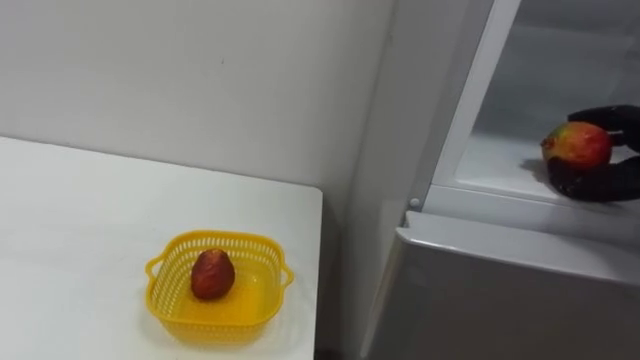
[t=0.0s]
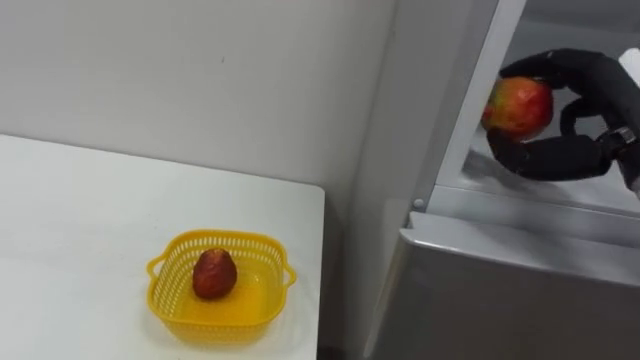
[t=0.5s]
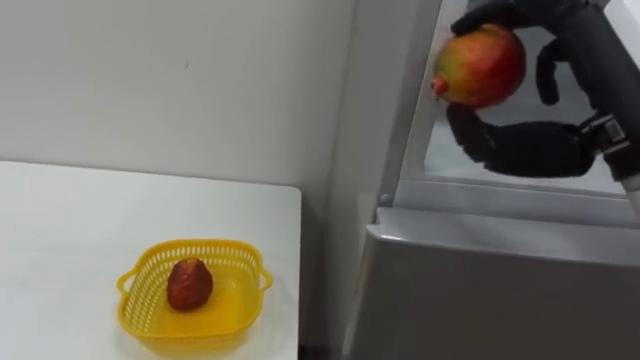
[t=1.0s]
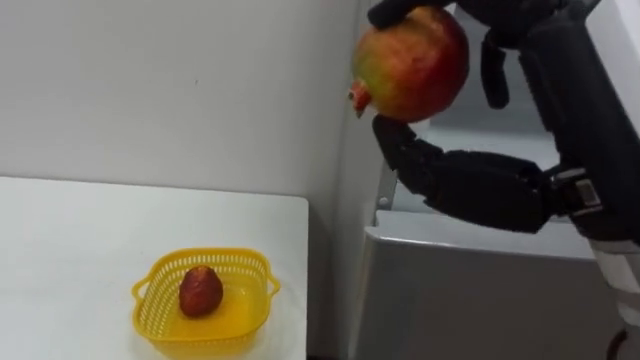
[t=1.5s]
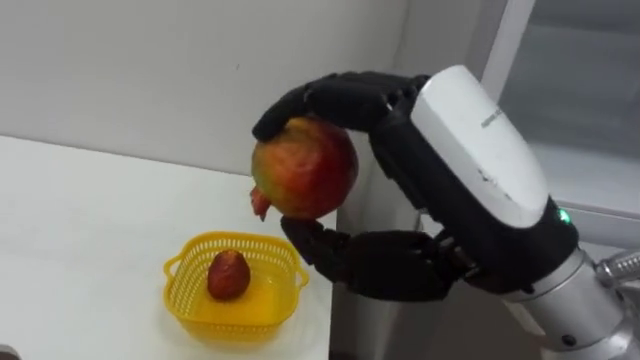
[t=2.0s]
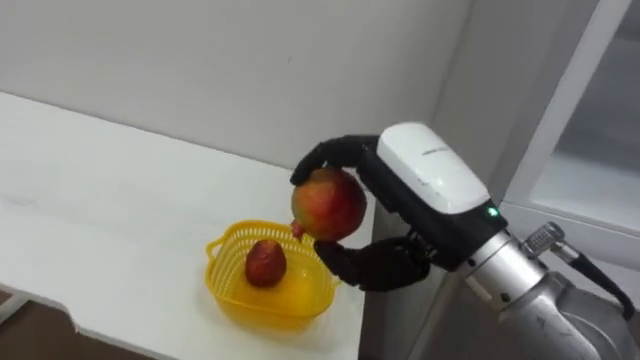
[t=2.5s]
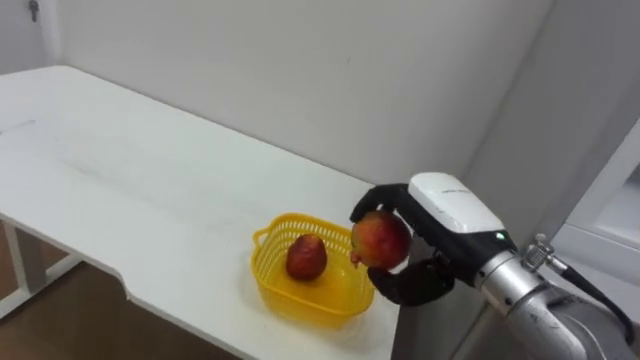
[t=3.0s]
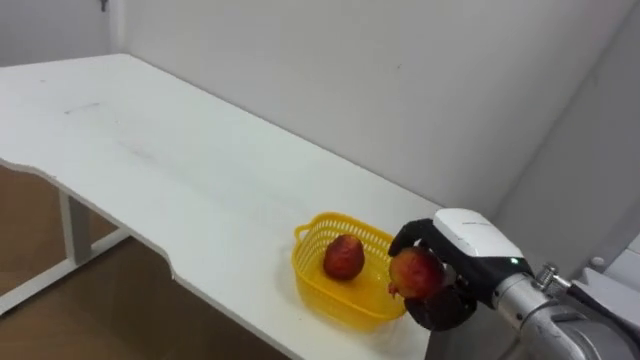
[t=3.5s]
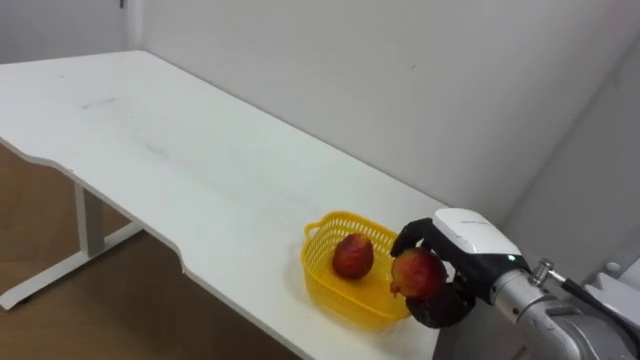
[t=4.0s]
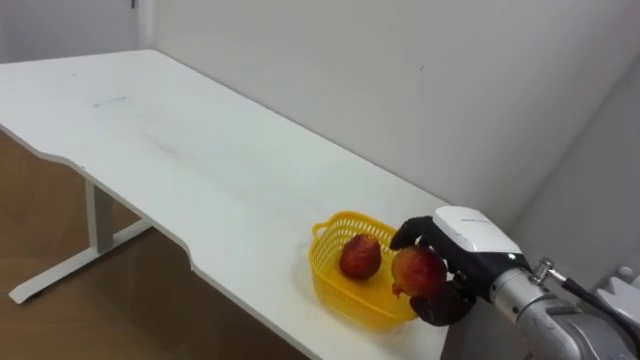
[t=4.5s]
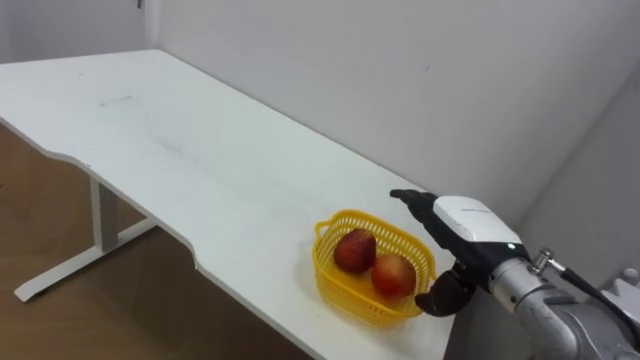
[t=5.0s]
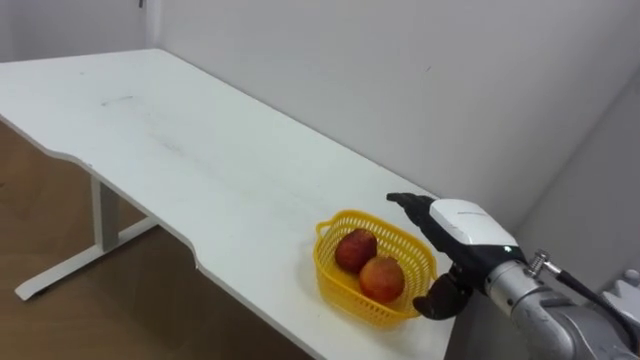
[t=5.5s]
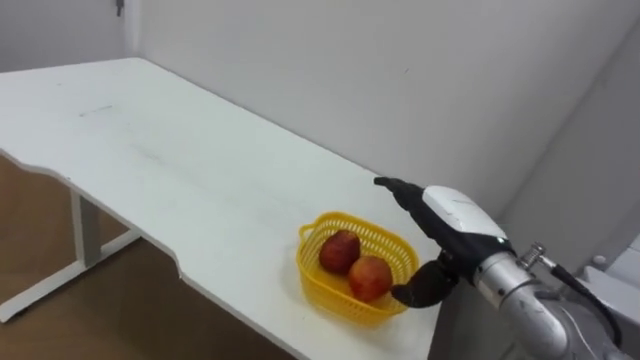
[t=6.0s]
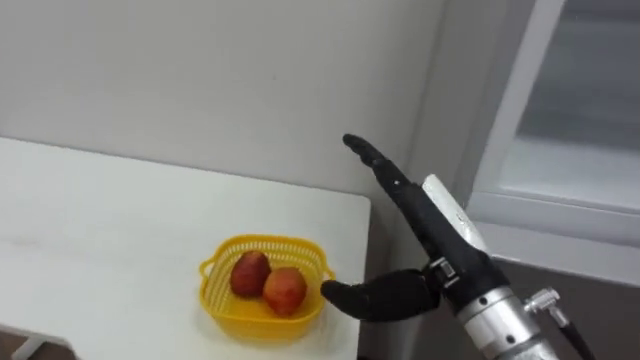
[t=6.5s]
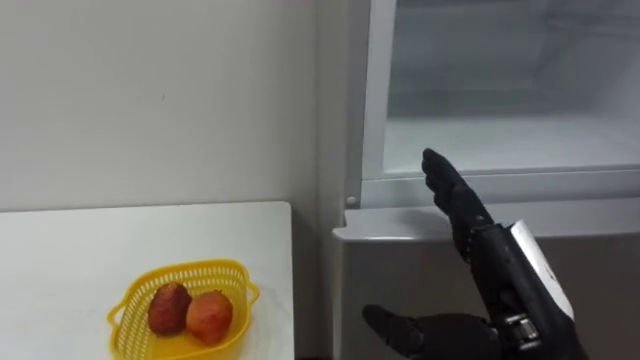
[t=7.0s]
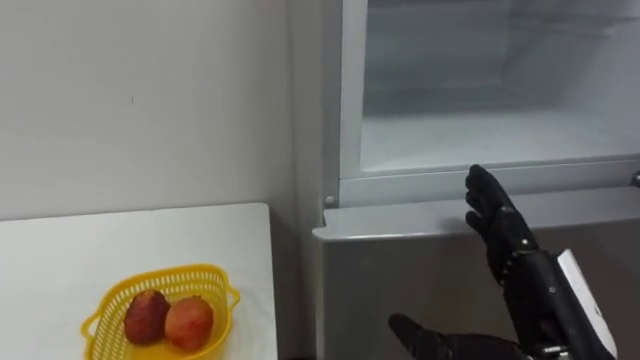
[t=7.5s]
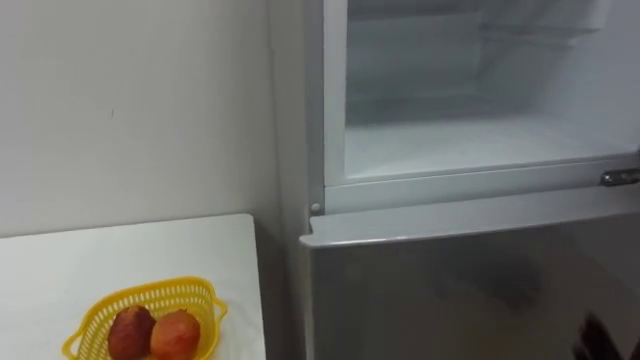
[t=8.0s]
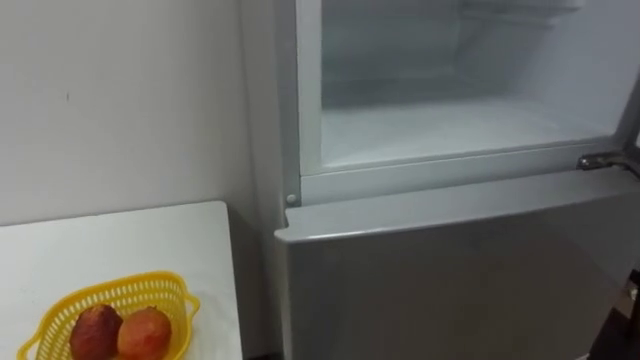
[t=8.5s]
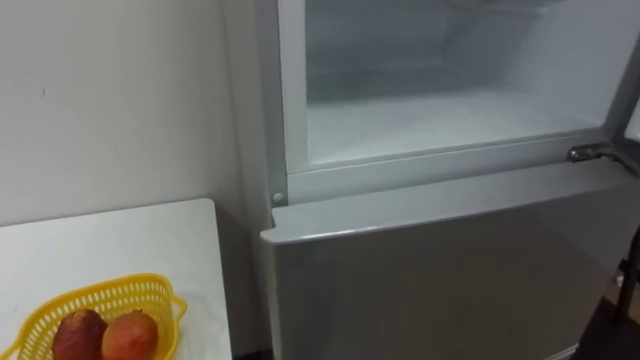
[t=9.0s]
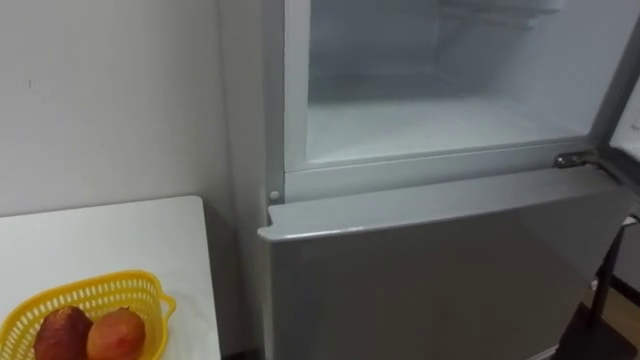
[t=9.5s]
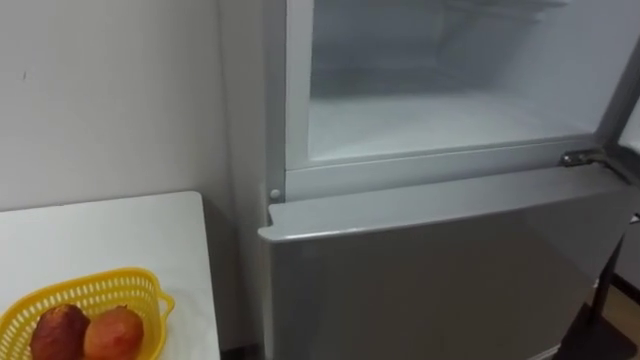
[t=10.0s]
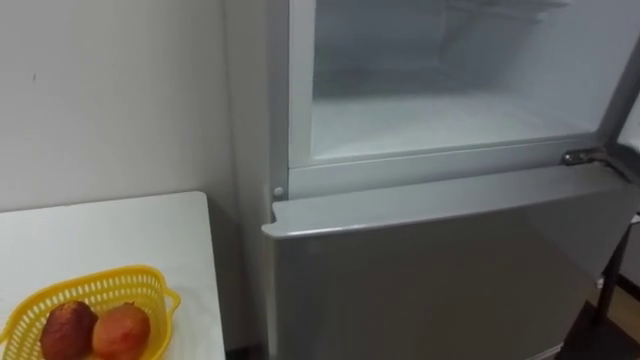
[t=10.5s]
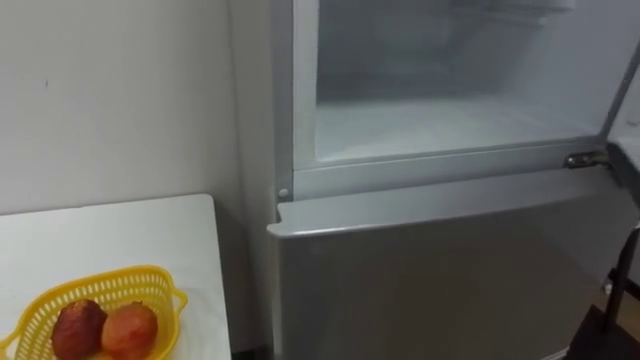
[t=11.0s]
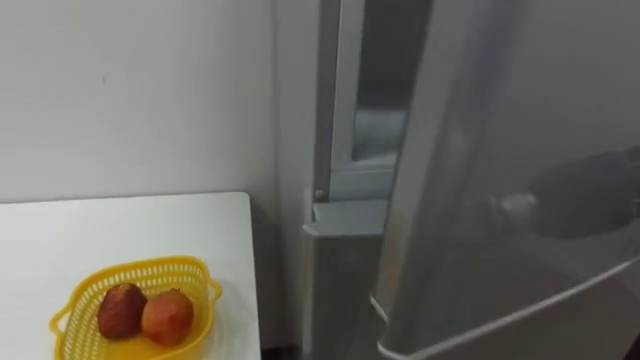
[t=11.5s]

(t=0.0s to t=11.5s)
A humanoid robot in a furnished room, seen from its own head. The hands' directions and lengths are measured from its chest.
Task of the whole recording: Open the refrigerator door, take out the apple and the pomegranate, place them in the fruit basket on the left, and close the refrigerator door.
t=2.0s - t=4.0s: The right hand is displaced downward and forward by about 25 cm.
t=4.0s - t=6.0s: The right hand opens its fingers.
t=6.0s - t=7.5s: The right hand heads backward, covering about 15 cm.

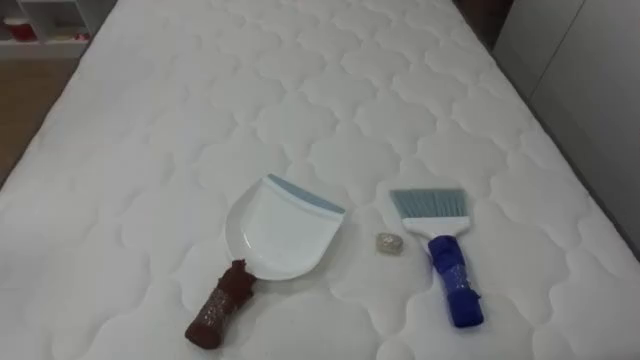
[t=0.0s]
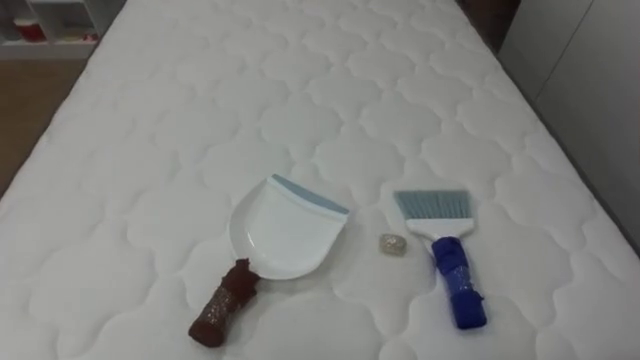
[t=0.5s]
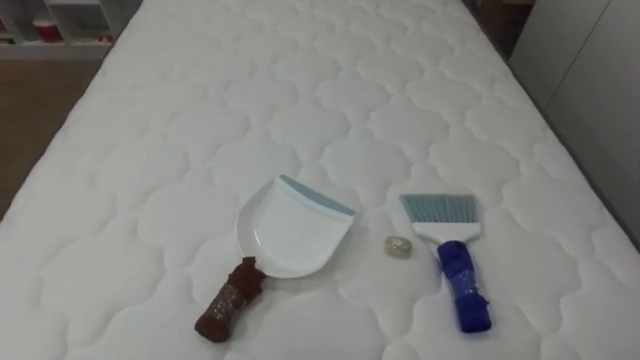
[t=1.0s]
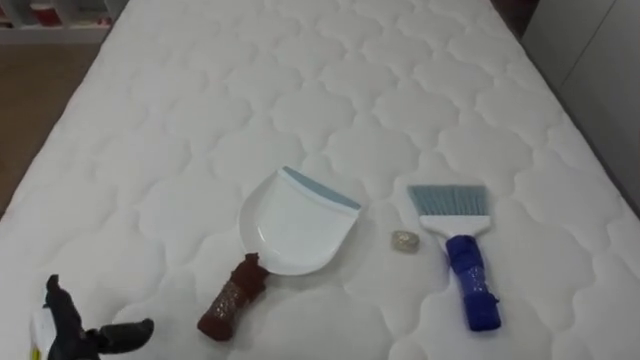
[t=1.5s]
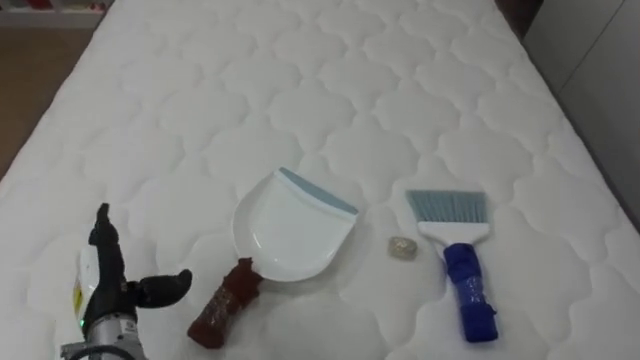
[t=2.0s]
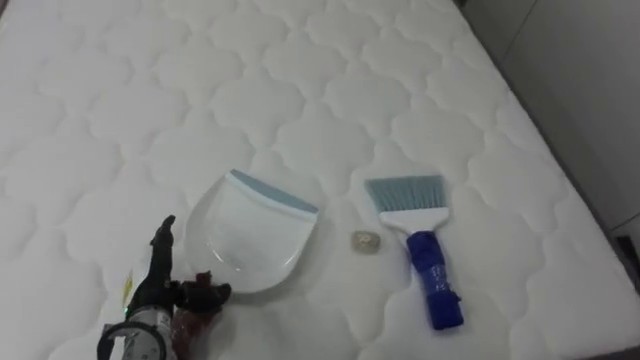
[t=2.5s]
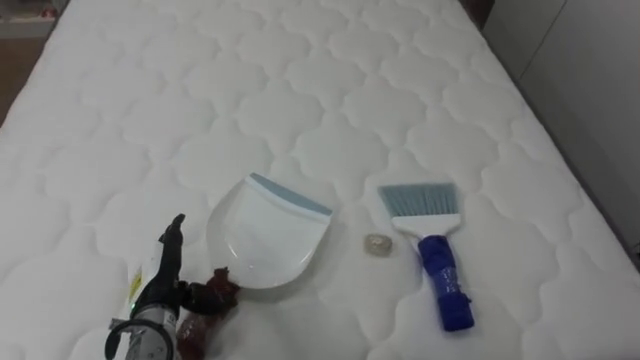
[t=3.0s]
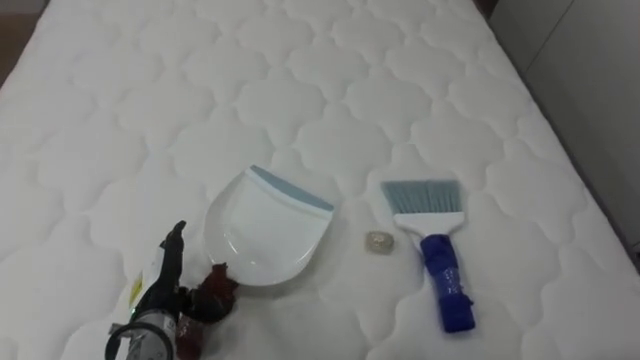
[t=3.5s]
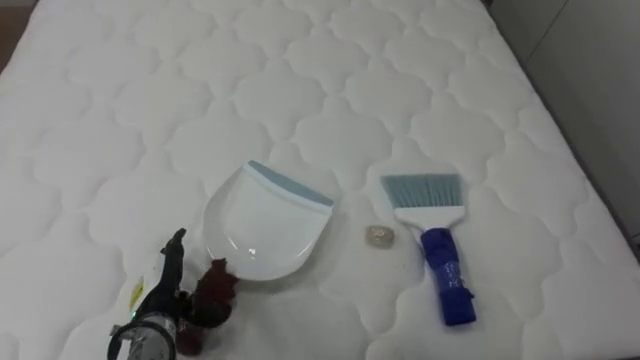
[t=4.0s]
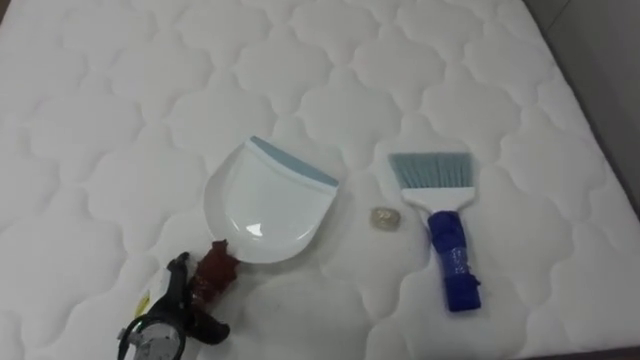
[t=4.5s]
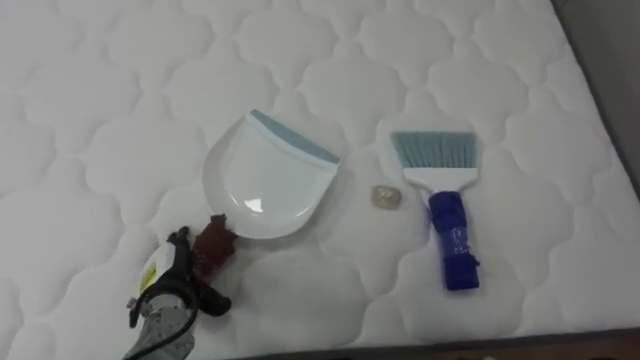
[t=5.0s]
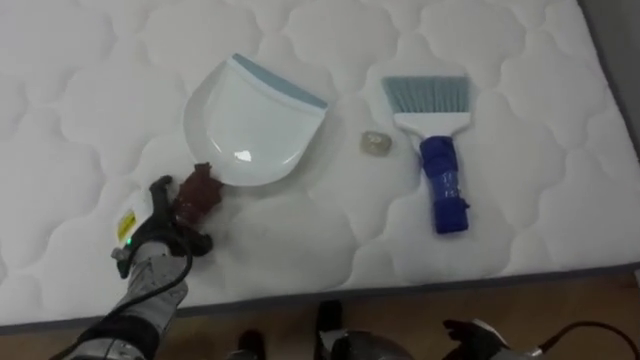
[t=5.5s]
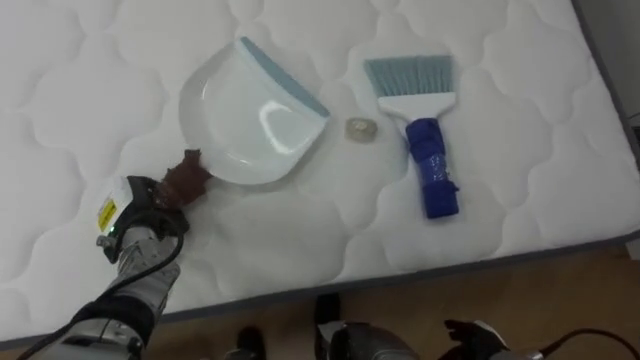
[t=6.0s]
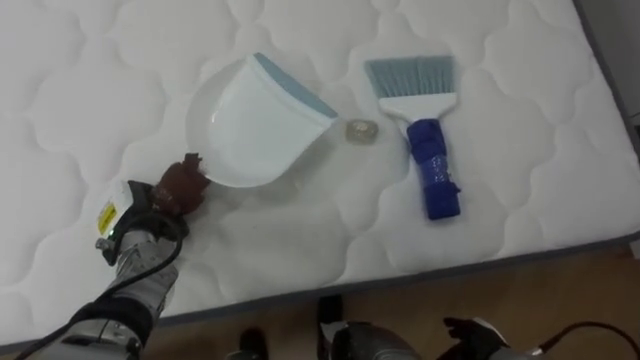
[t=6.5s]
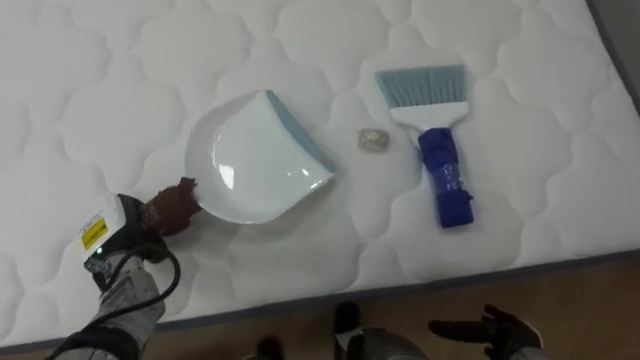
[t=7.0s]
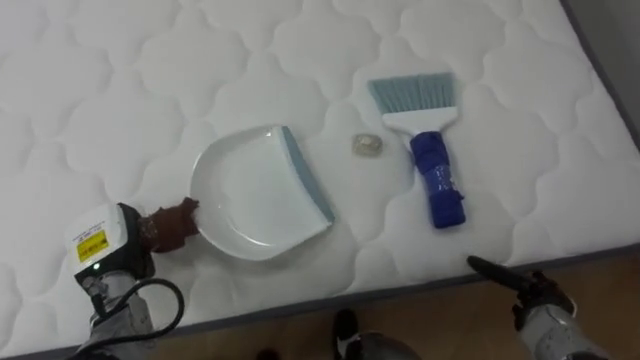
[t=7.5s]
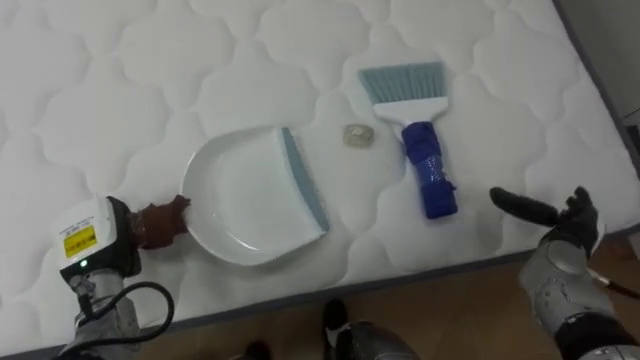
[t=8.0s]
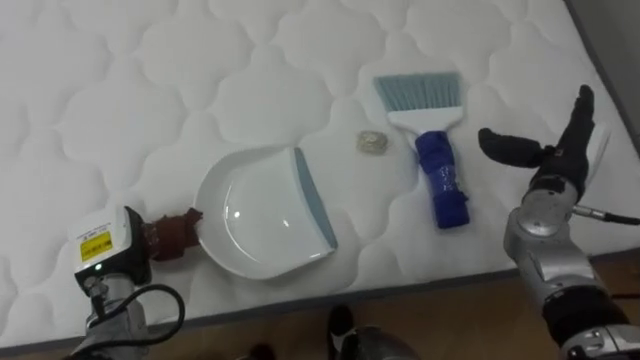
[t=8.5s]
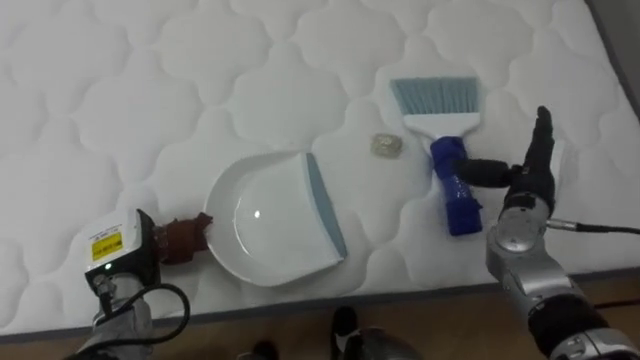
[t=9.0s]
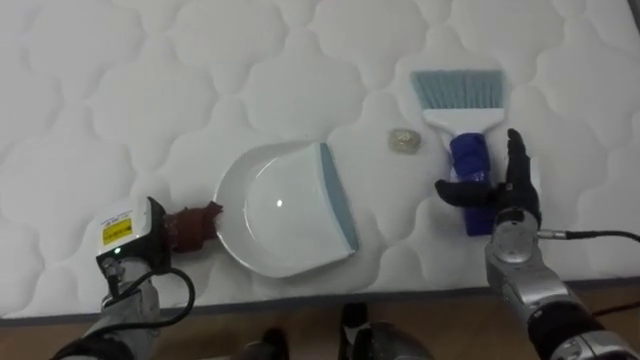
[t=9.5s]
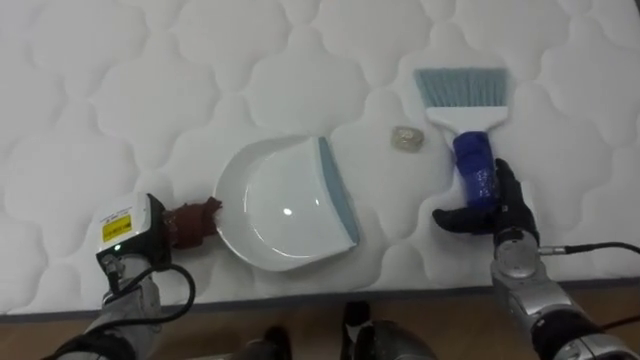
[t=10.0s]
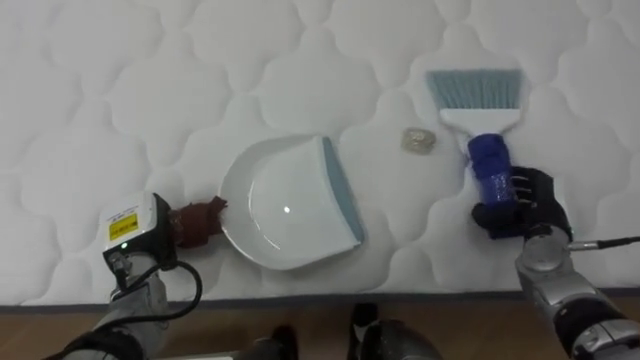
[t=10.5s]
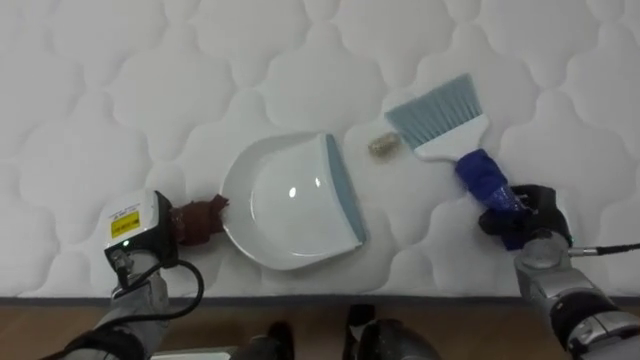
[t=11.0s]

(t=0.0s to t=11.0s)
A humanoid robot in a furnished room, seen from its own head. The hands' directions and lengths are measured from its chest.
Task of the whole recording: Pick up the brush on your right and the dustpan on your left. Use the brush to sweep the crumpled paper on the bed into the dustpan, then turn left and empty it into the basket.
t=2.0s - t=3.5s: The left hand travels to the right by about 5 cm.
t=3.5s - t=5.5s: The left hand is displaced forward by approximately 10 cm.
t=5.5s - t=7.5s: The left hand moves roughly 5 cm, and closes up.
t=7.5s - t=9.0s: The right hand travels upward and forward by some 20 cm.
t=9.0s - t=11.0s: The right hand shifts roughly 5 cm downward, and closes its fingers.
